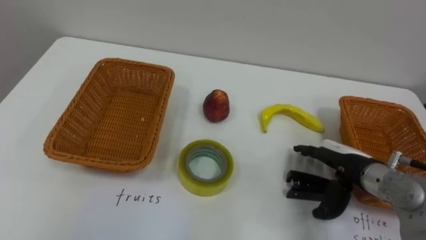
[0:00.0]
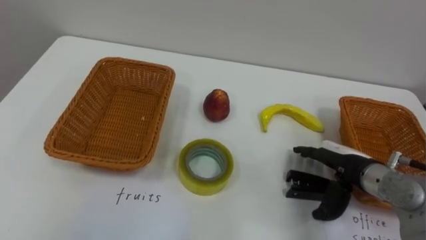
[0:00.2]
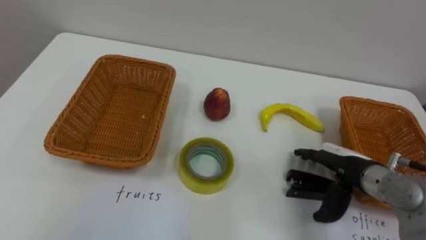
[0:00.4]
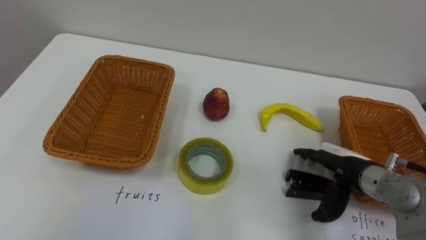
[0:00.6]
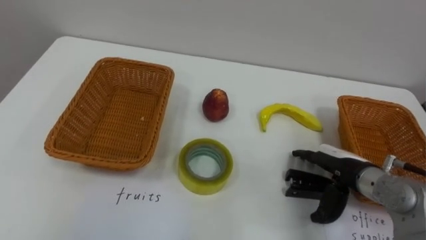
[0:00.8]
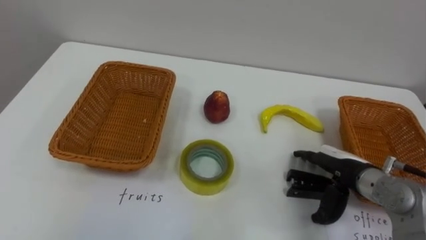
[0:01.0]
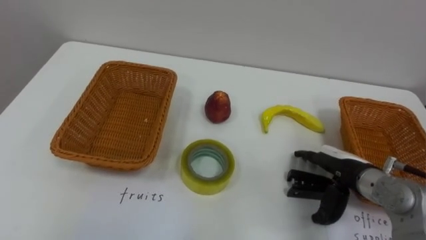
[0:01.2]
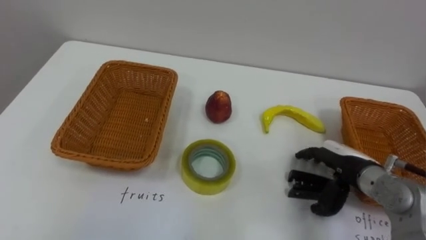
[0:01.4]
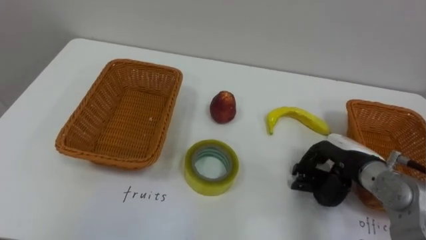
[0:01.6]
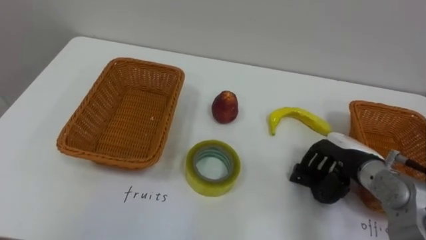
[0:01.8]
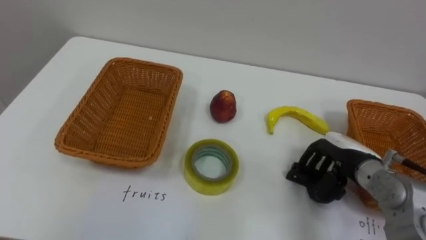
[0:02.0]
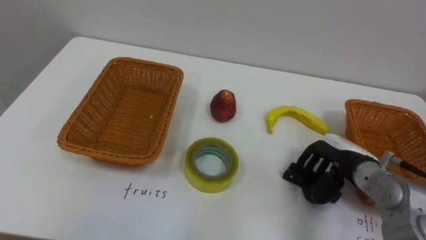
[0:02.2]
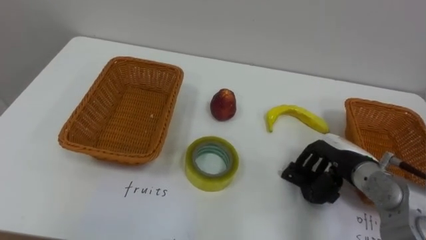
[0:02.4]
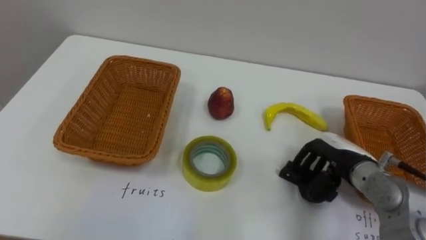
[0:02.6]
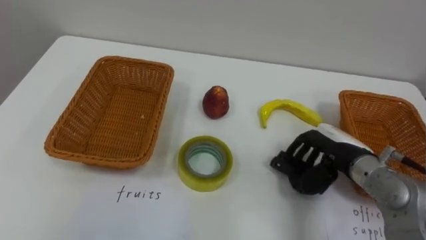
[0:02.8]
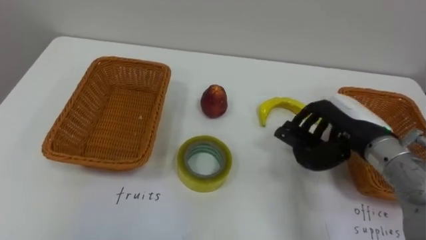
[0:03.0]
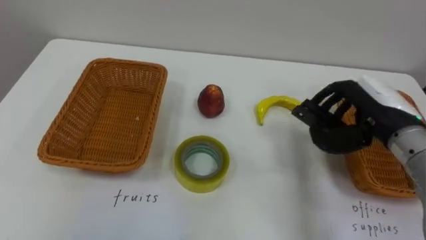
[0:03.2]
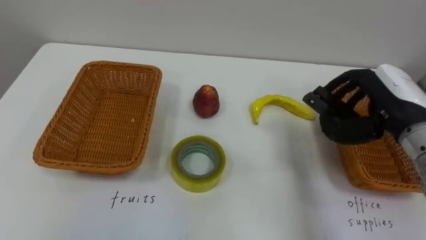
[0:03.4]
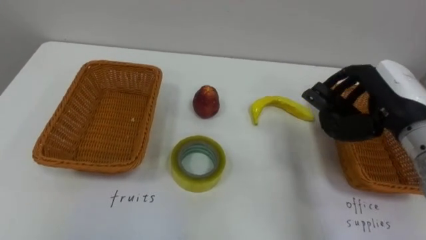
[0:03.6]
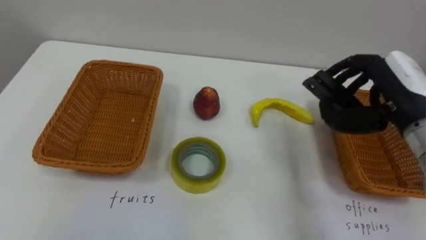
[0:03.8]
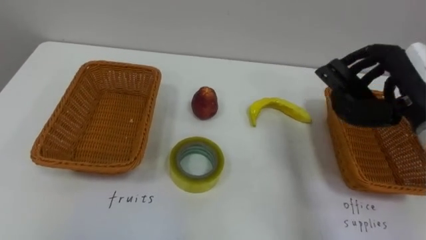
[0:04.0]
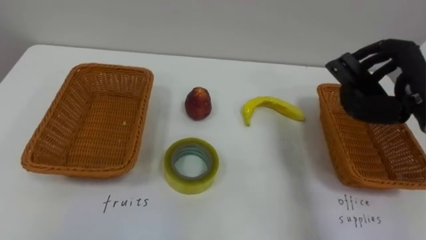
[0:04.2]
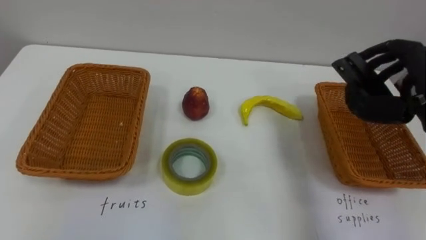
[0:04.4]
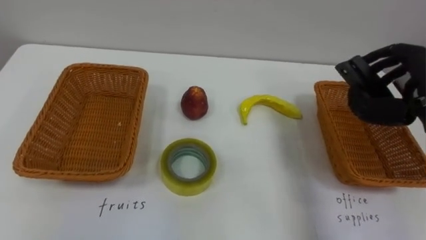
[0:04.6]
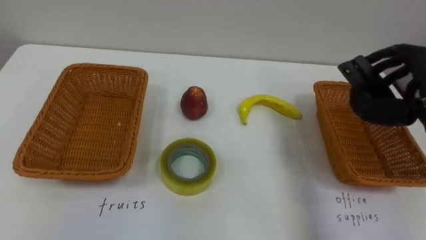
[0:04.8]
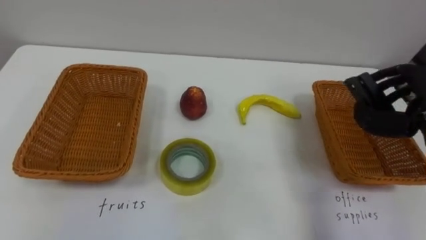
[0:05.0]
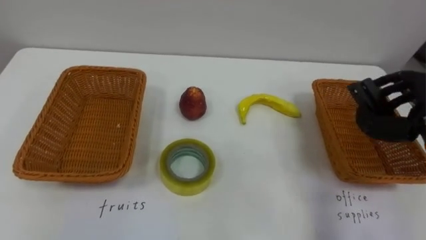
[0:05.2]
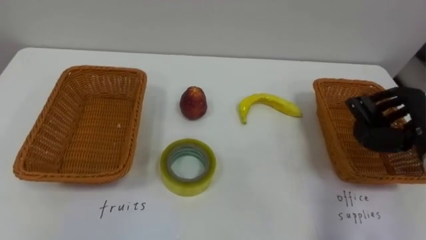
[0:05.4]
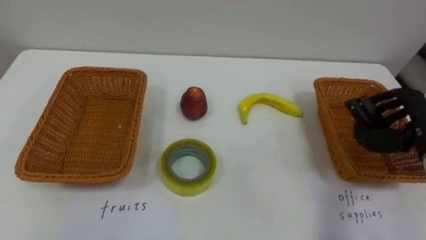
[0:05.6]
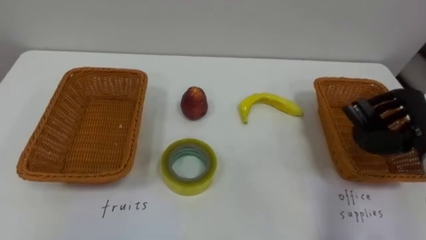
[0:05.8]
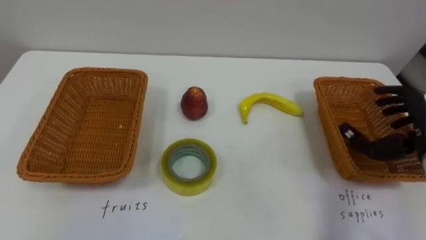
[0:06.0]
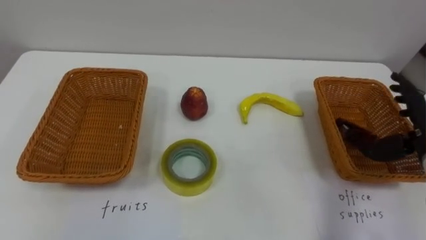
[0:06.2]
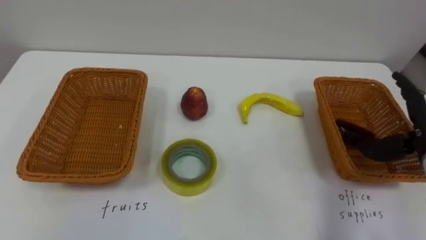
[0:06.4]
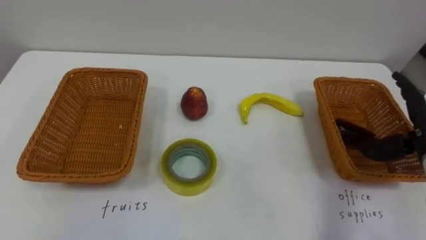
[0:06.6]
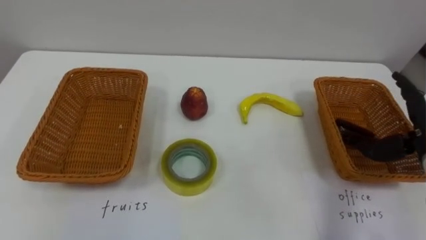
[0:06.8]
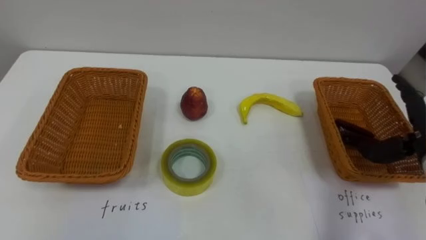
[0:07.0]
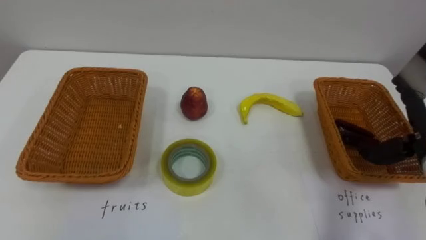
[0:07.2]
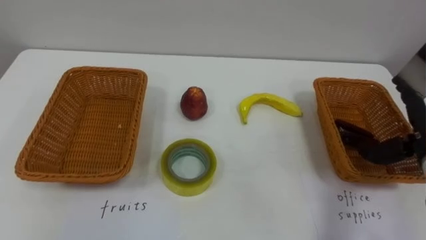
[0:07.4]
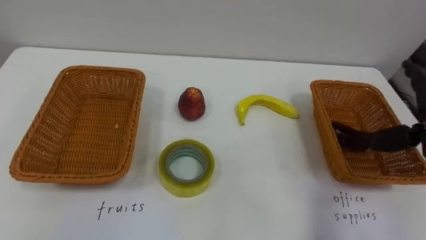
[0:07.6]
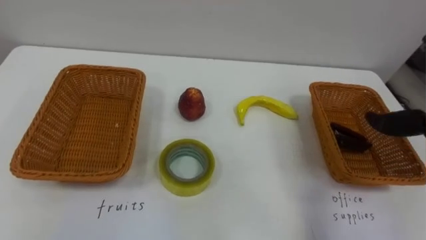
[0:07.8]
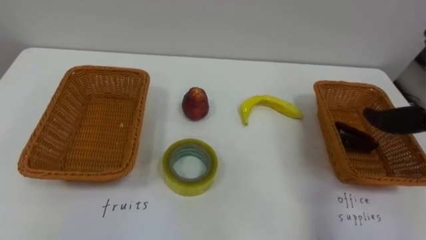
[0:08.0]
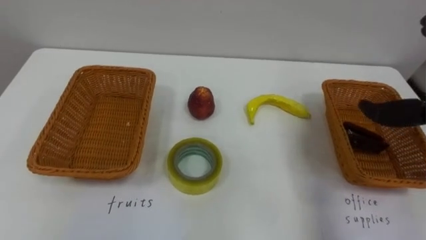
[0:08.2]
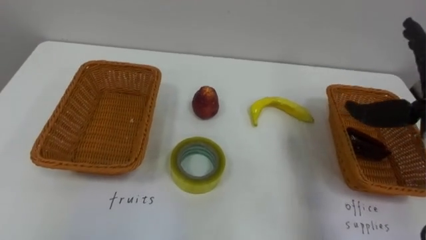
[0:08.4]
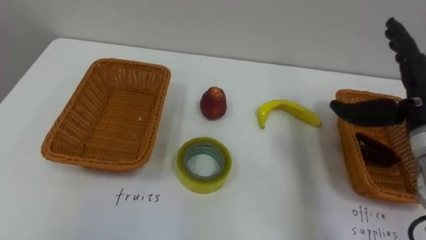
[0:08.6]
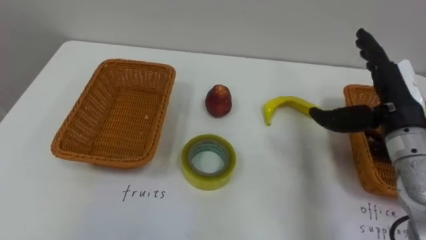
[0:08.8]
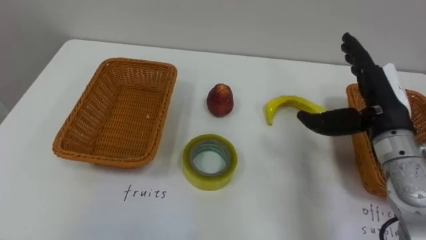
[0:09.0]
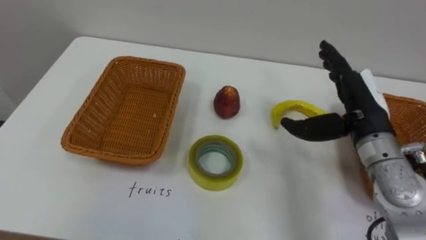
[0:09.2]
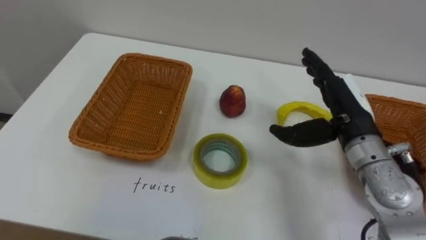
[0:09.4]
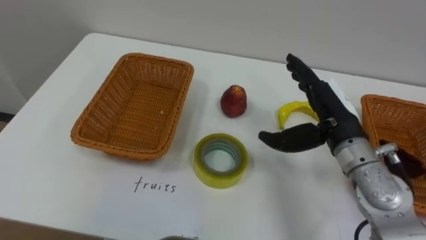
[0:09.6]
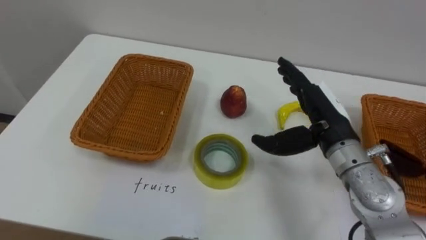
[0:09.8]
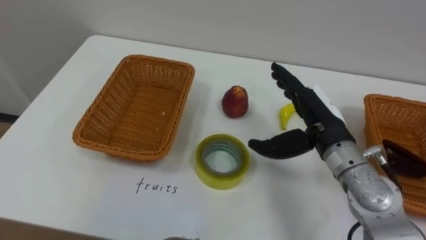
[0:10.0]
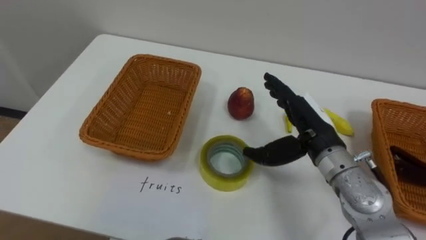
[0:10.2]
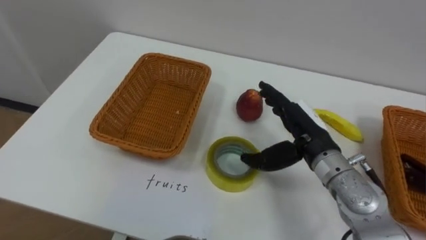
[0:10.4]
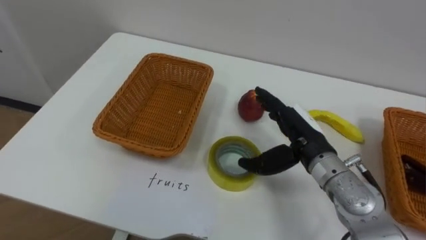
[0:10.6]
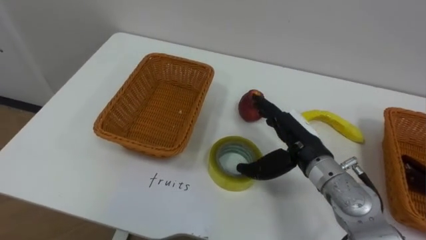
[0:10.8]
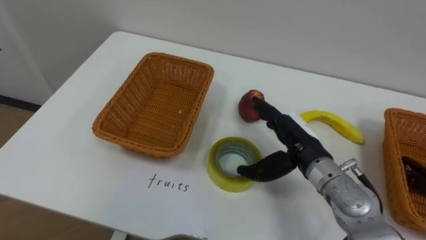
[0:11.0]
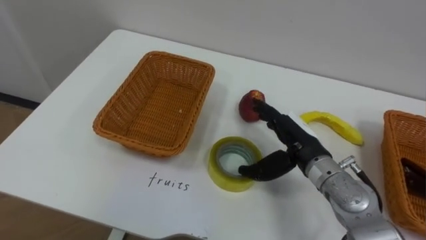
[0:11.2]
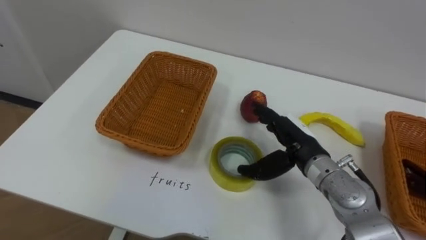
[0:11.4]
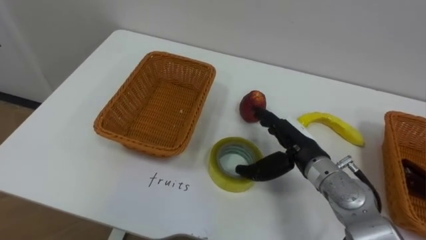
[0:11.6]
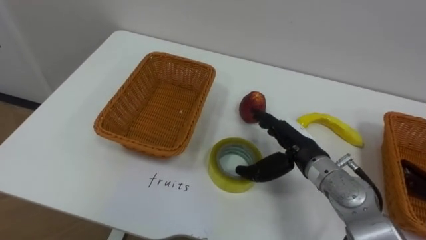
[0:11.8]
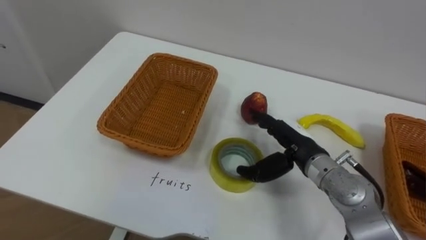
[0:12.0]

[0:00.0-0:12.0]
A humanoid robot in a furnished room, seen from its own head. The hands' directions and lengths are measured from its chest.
Task of the whole recording: Separate the items on the table and place them into the two baskets.
0:01.6 to 0:03.0: The right hand moves upward, approximately 10 cm.
0:09.0 to 0:10.4: The right hand heads to the left and downward, covering some 10 cm.

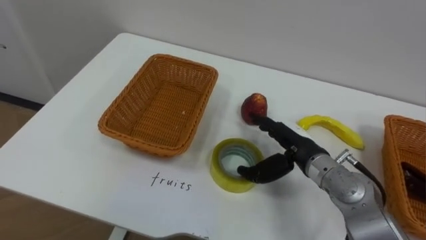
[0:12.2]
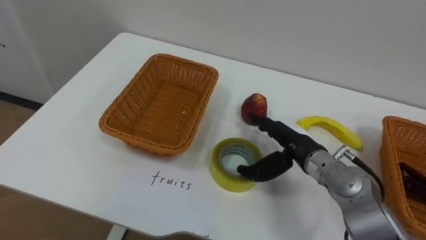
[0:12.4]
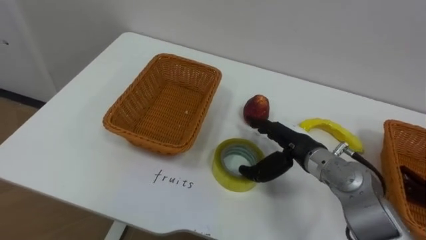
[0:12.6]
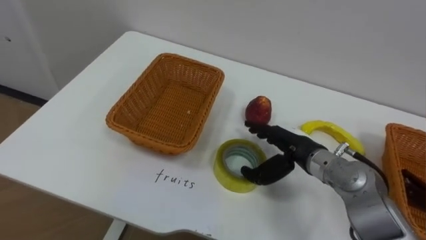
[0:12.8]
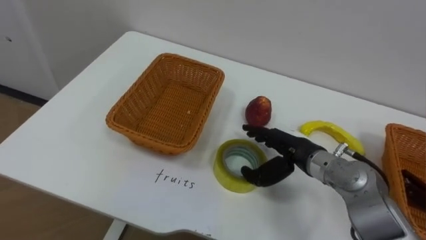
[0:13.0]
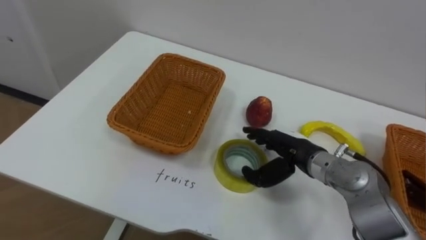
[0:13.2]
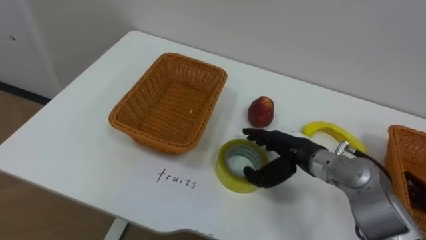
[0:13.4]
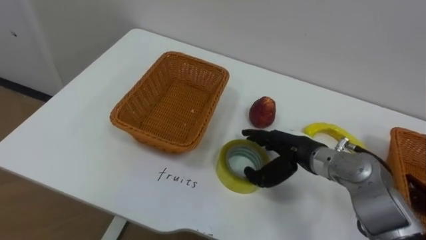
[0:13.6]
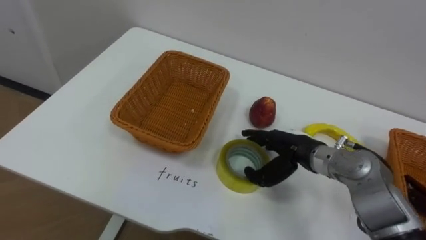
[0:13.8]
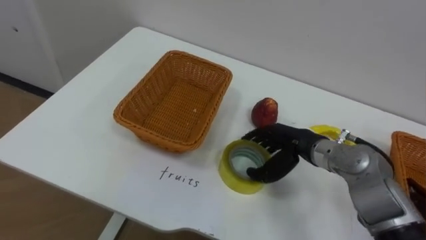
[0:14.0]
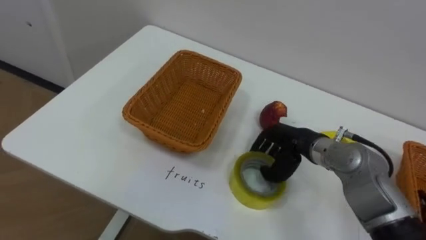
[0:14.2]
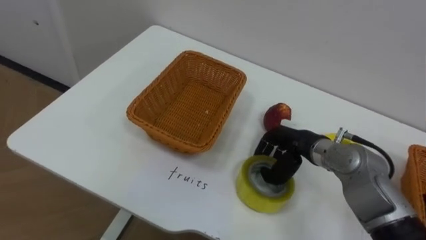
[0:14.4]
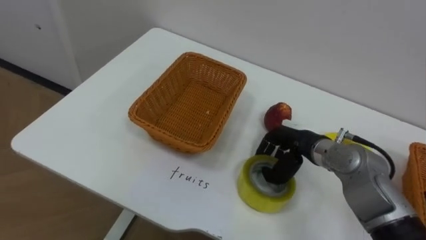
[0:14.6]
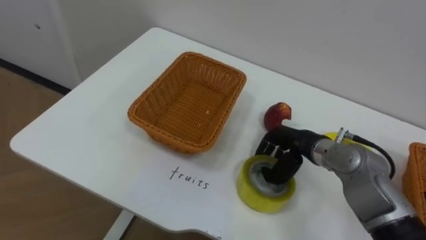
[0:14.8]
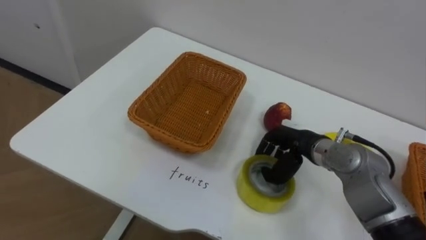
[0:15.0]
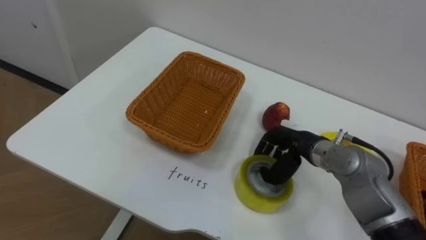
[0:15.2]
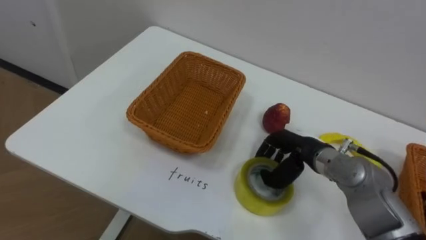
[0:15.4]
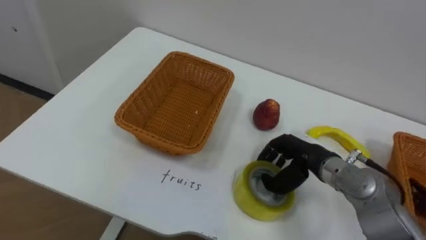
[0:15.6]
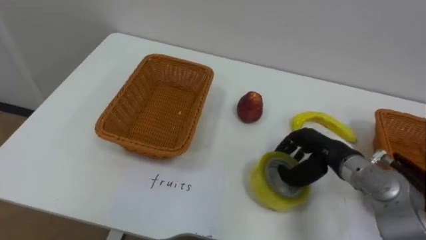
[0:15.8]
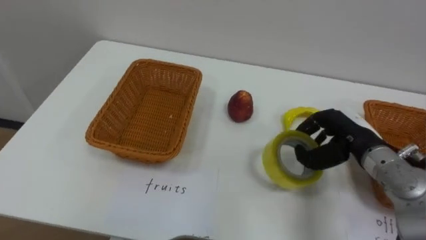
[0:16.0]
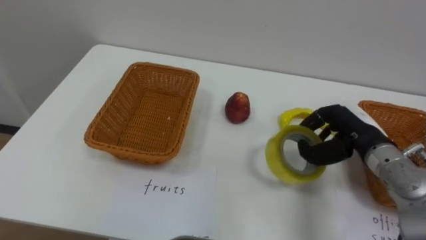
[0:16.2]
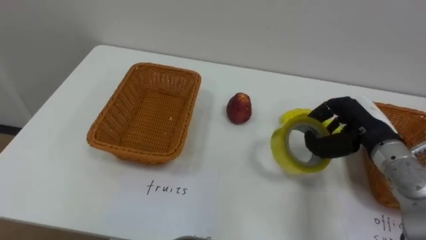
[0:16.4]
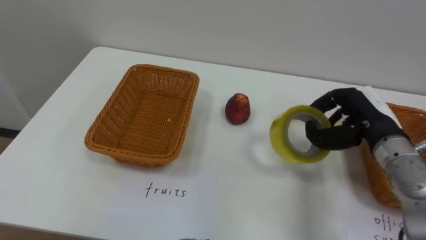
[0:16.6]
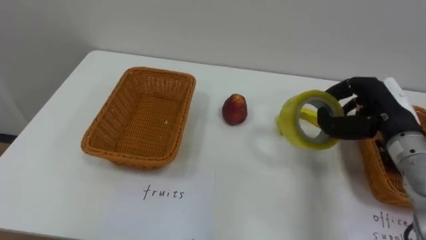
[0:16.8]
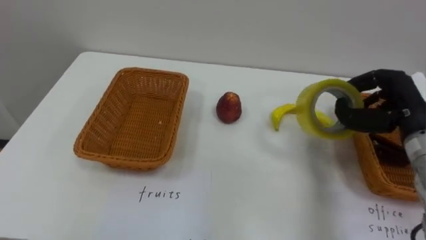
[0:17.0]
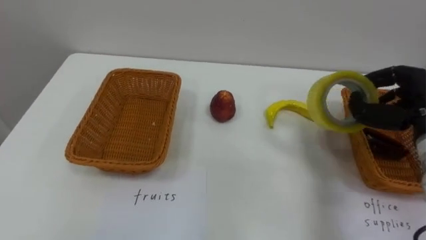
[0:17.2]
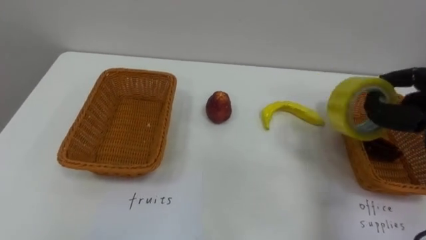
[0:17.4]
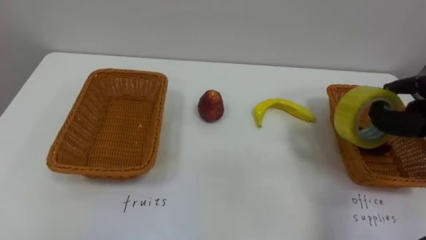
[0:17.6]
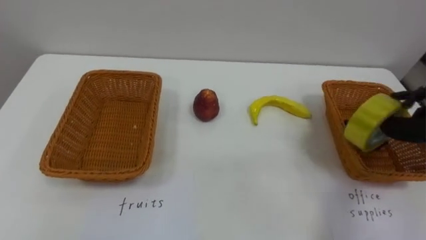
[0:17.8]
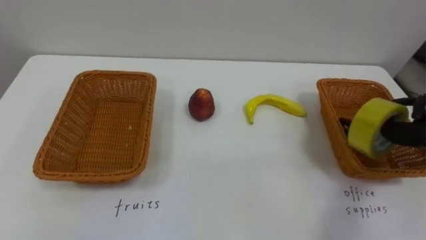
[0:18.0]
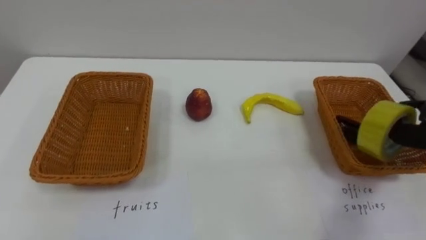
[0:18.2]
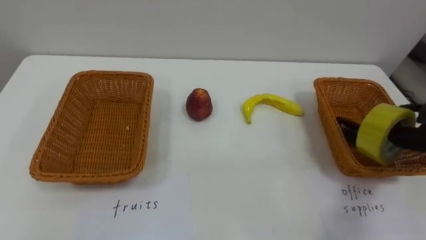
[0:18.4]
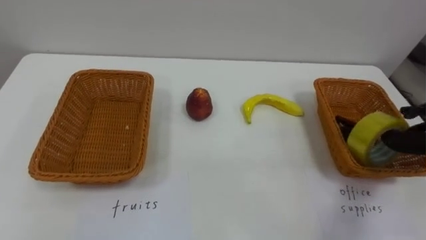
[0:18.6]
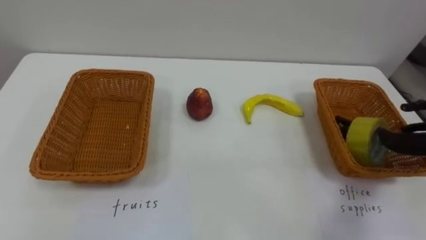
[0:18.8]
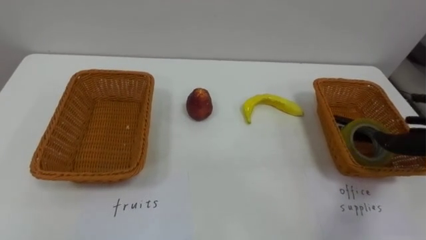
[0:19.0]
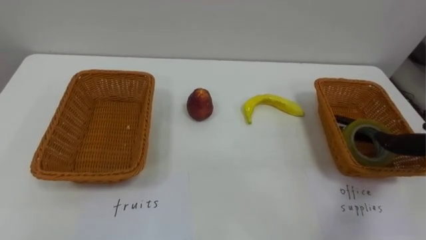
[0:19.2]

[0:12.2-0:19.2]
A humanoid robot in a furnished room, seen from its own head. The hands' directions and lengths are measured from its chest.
Task of the whole recording: Separate the items on the table and place them into the two baskets.
0:13.6 to 0:15.0: The right hand closes.
0:15.0 to 0:16.4: The right hand travels to the right and upward by about 10 cm.
